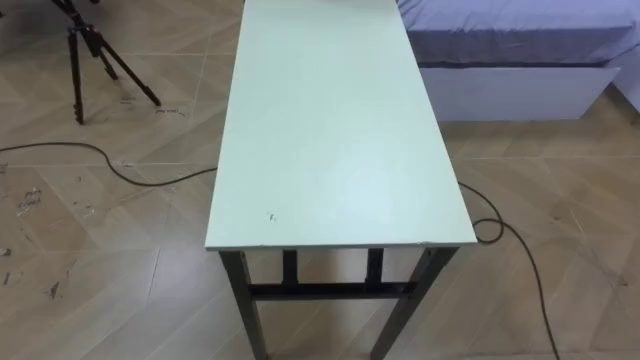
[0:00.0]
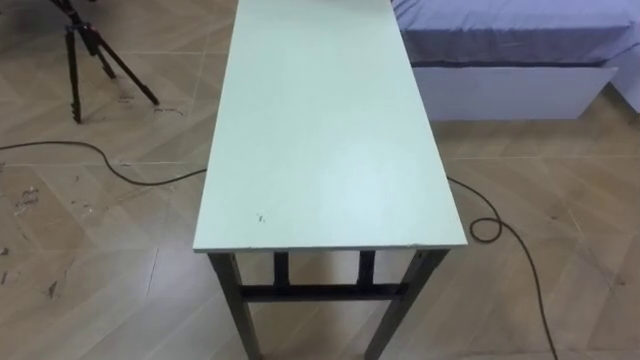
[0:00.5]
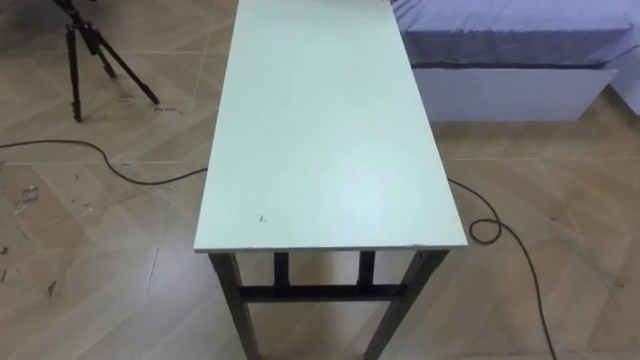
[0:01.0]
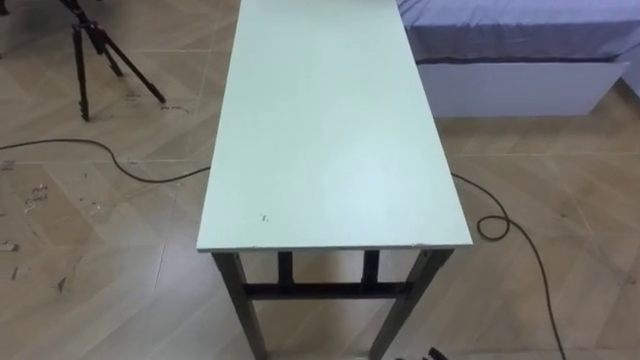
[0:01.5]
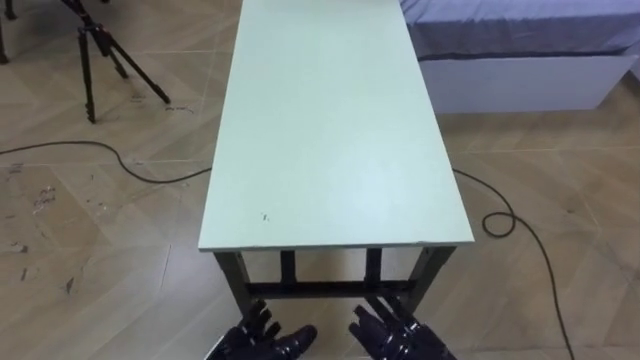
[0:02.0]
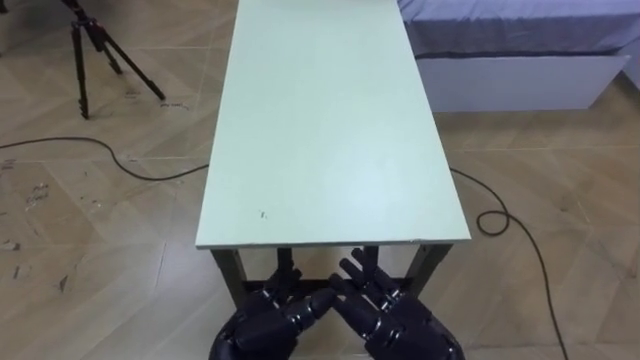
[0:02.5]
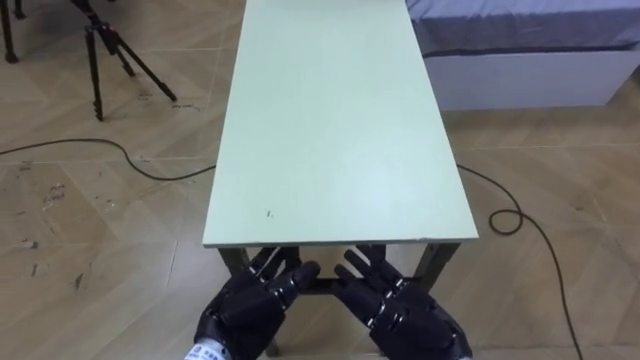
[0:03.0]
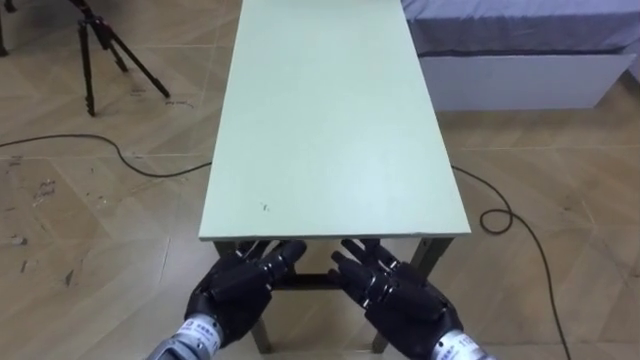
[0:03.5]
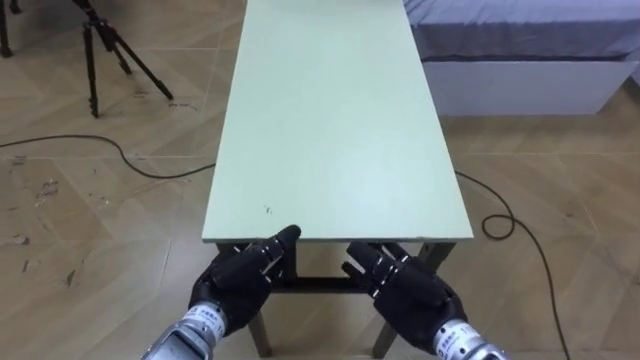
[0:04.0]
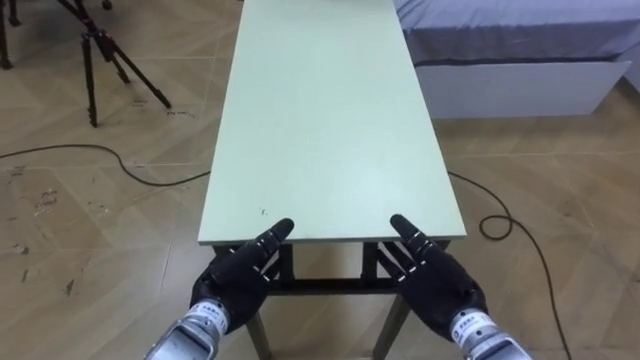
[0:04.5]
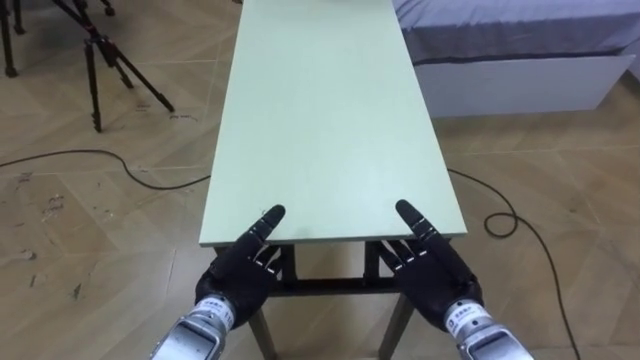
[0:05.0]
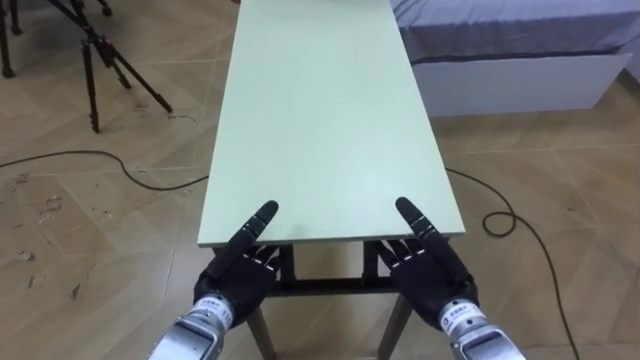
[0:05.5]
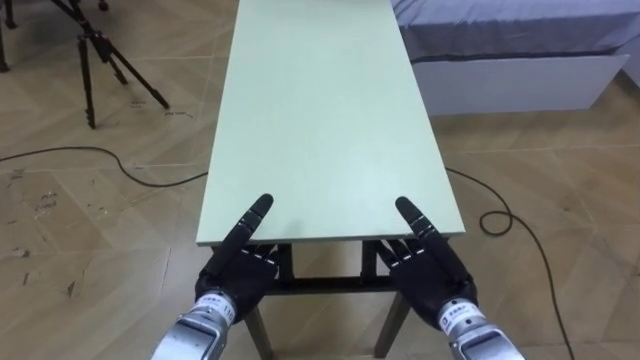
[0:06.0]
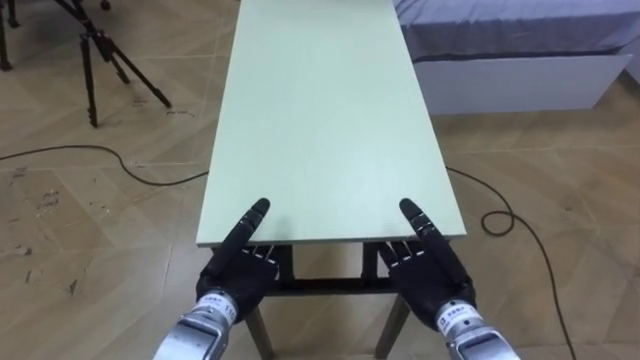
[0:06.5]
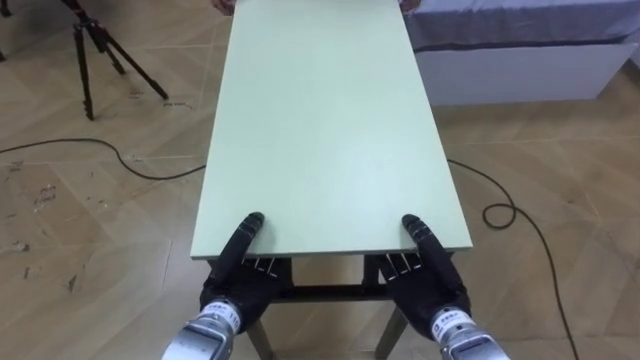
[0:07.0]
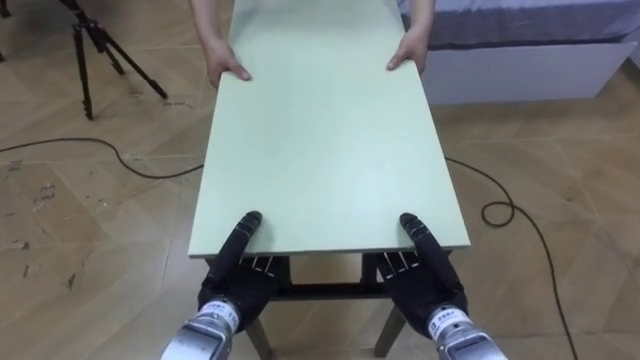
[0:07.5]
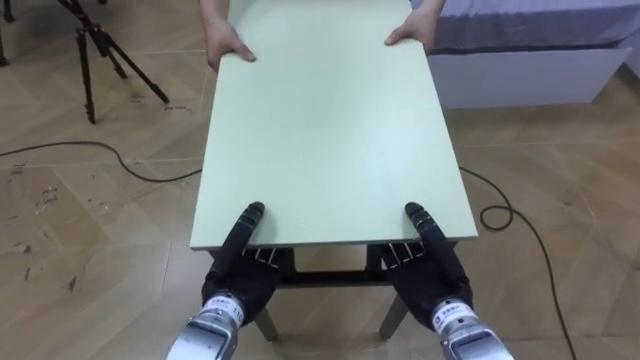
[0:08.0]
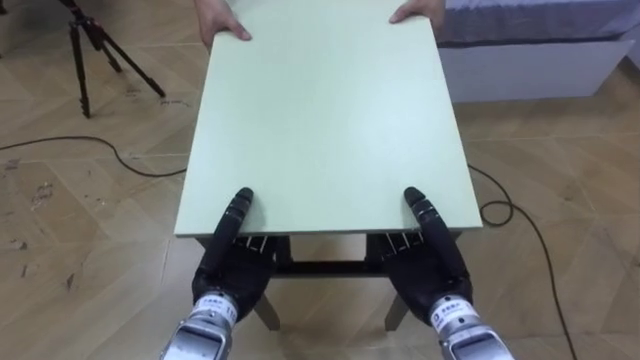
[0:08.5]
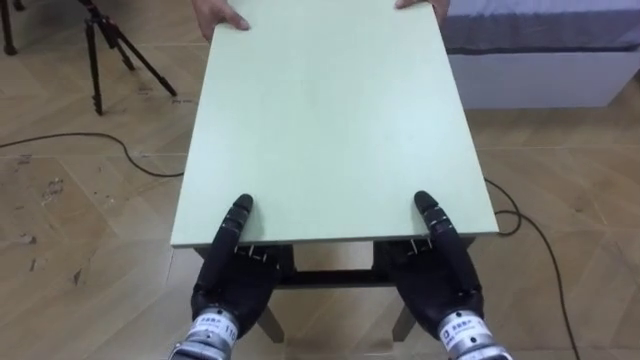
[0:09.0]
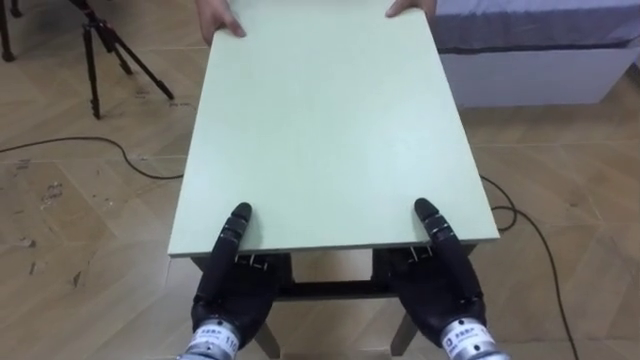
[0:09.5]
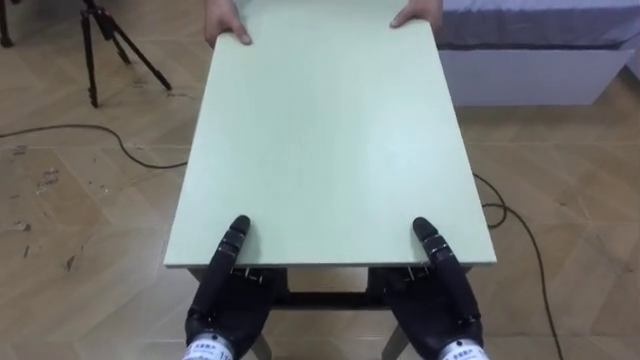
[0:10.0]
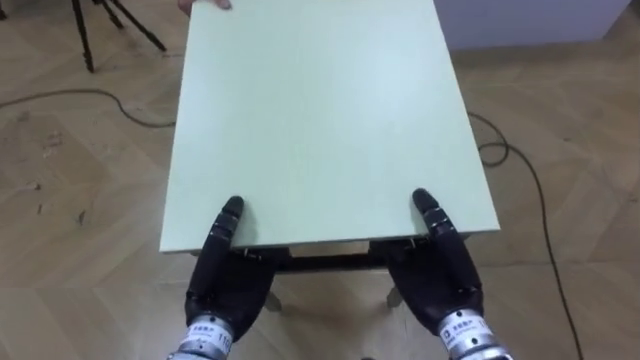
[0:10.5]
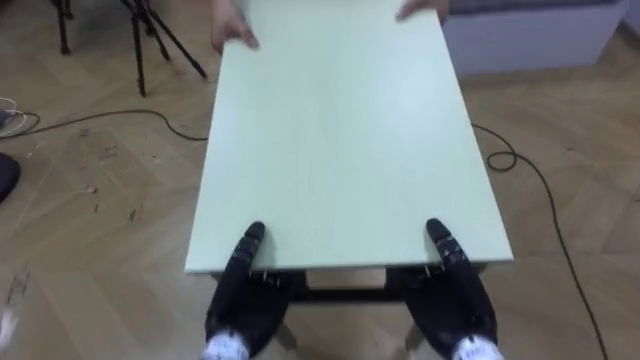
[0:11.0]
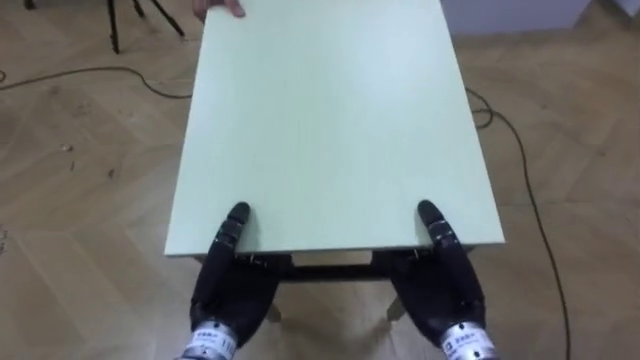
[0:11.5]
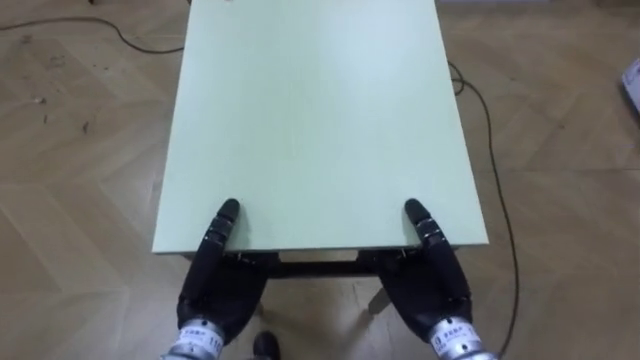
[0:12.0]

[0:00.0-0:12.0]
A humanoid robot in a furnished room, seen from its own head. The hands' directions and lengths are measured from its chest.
Task of the whole recording: Move the table to the back left with someone.
0:06.0 to 0:08.0: The right hand closes its fingers. The left hand closes.
0:08.0 to 0:10.0: The left hand moves some 5 cm, while the right hand moves some 5 cm.

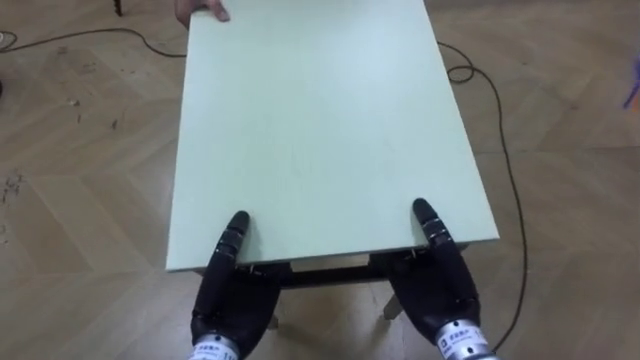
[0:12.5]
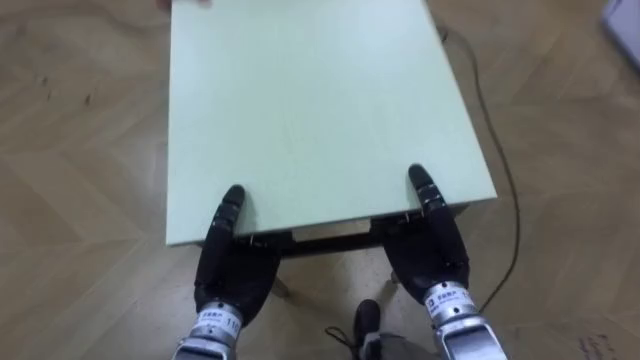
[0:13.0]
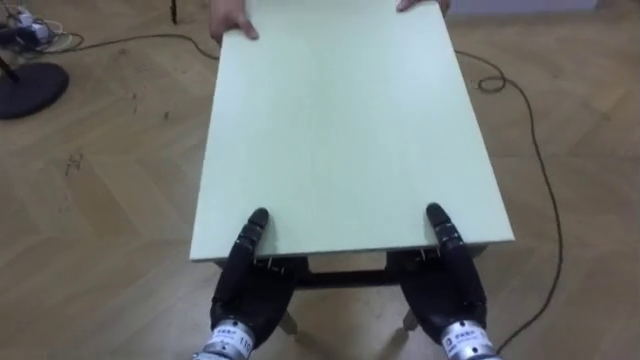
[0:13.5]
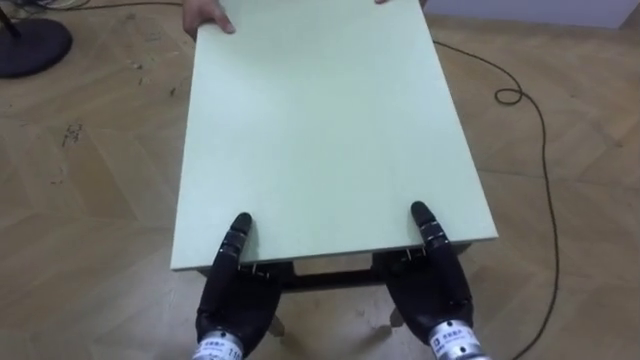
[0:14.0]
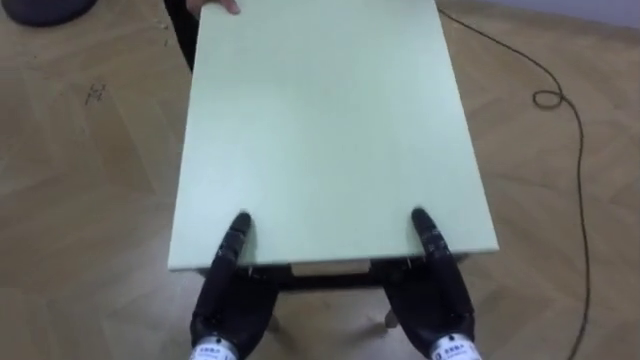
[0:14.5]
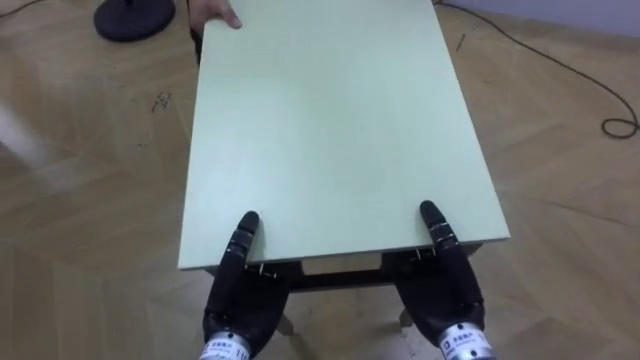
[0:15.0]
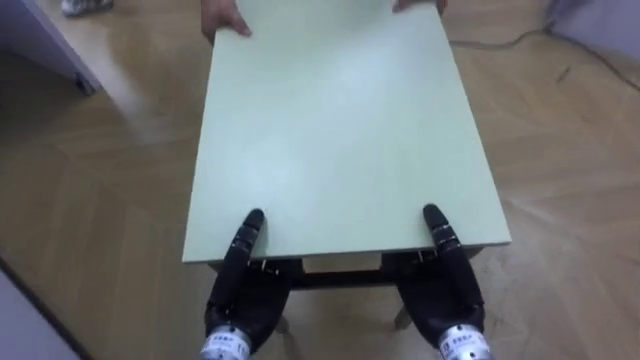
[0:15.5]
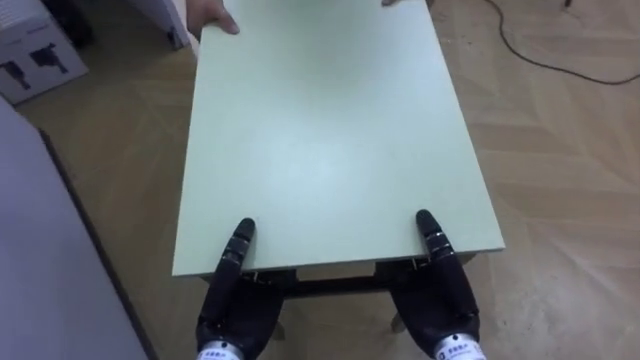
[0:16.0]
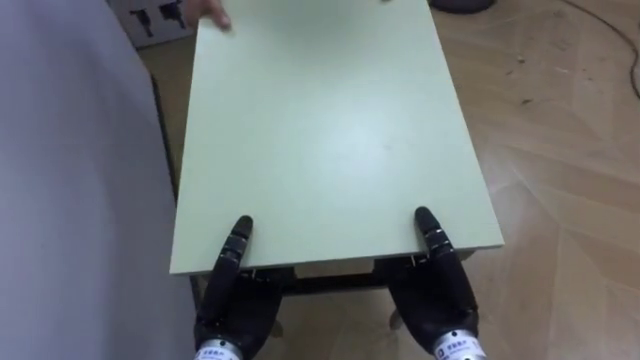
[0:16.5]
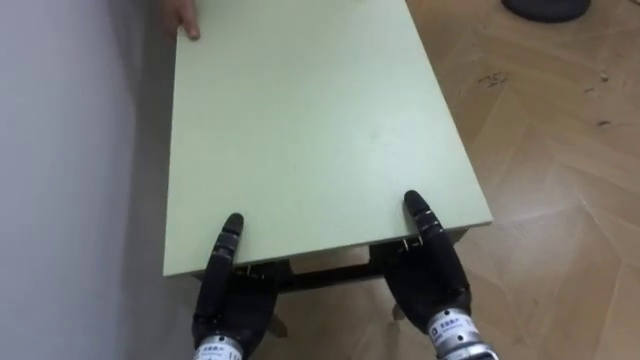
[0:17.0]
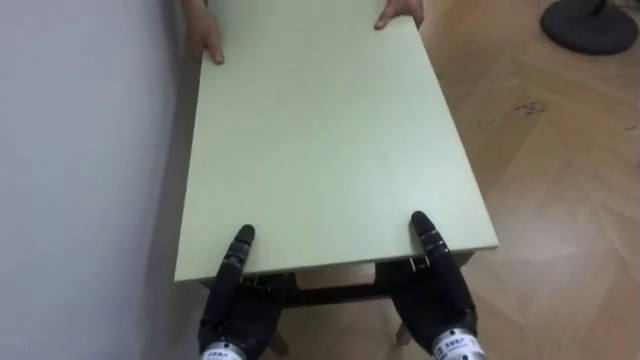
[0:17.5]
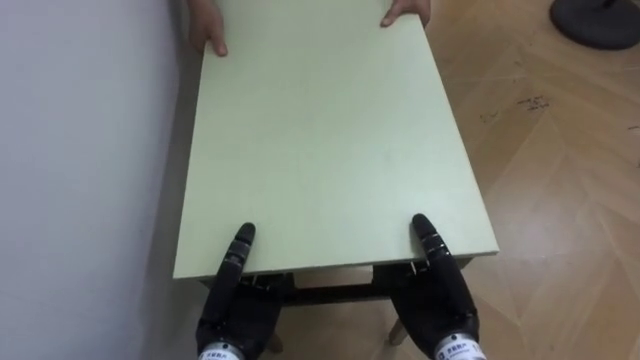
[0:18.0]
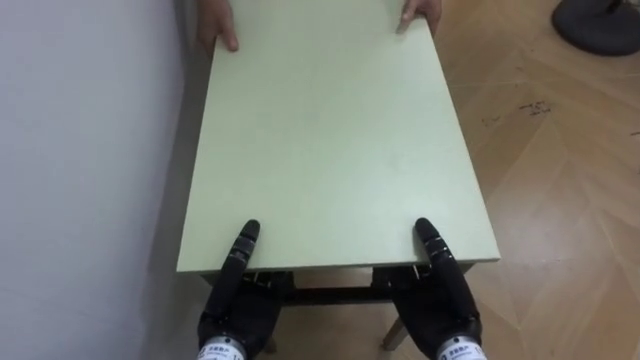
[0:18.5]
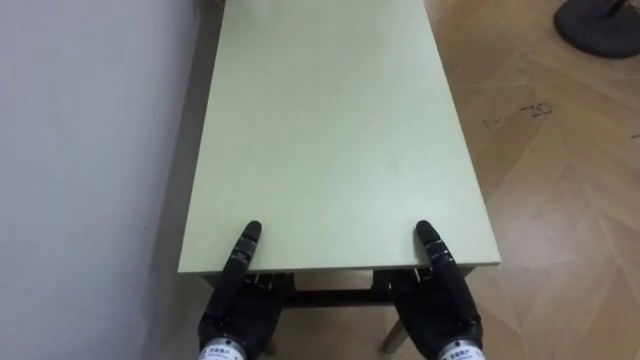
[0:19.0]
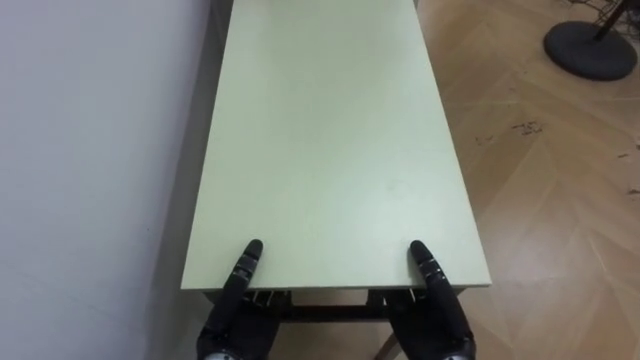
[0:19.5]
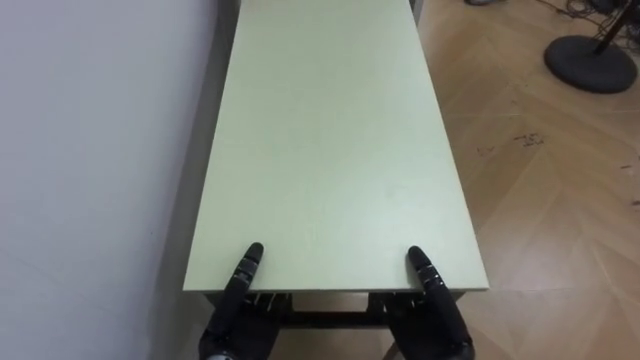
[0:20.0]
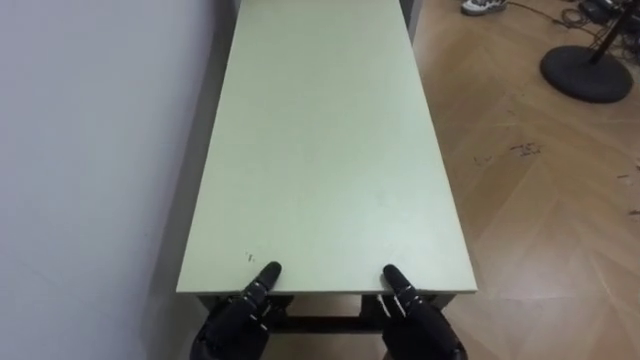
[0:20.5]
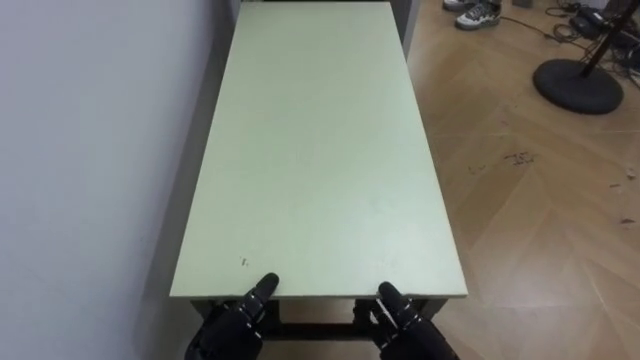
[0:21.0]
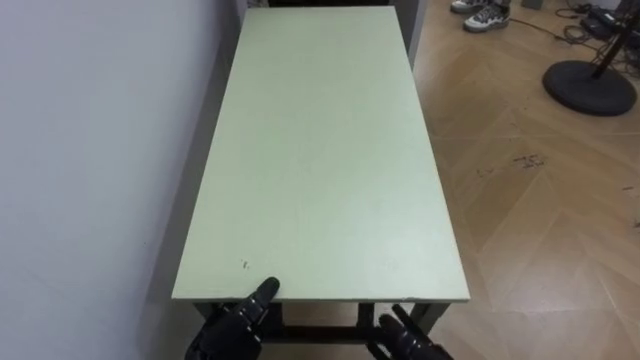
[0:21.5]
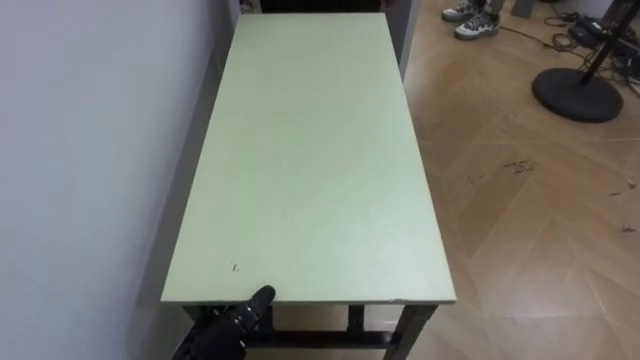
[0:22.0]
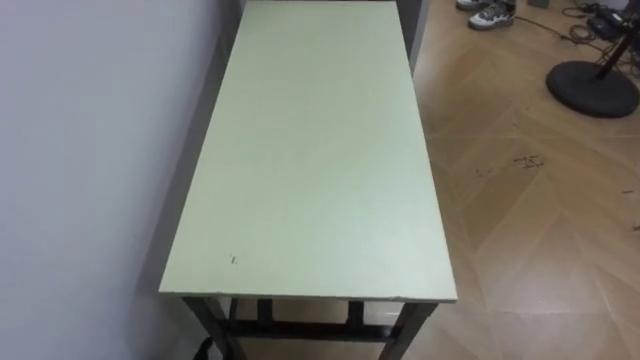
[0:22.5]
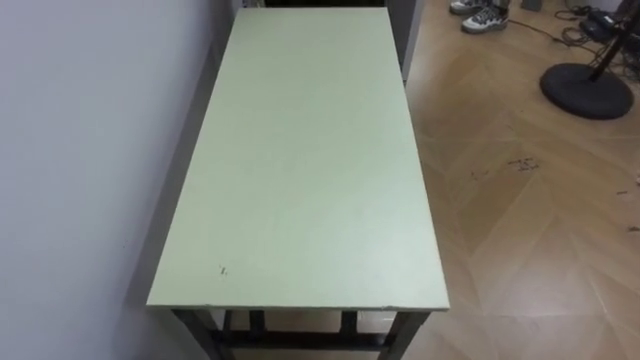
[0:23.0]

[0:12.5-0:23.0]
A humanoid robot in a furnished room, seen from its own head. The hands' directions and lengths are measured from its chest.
Task of the whole recording: Move the table to the back left with someone.
0:12.5 to 0:14.5: The robot's body swings about 20 degrees to its left.
0:14.5 to 0:16.5: The robot faces about 55 degrees further to its left.
0:16.5 to 0:19.0: The robot faces approximately 20 degrees further to its left.
0:19.0 to 0:21.0: Both hands move downward, some 10 cm. The right hand opens, while the left hand opens up.
